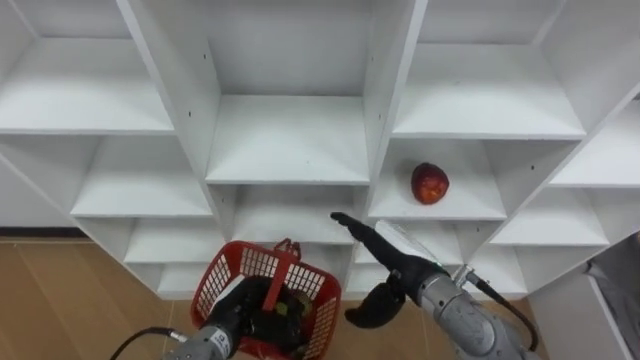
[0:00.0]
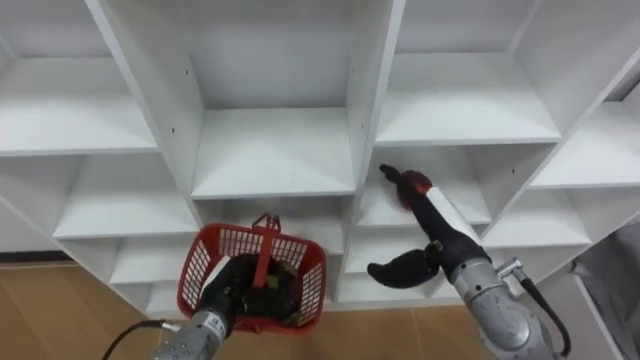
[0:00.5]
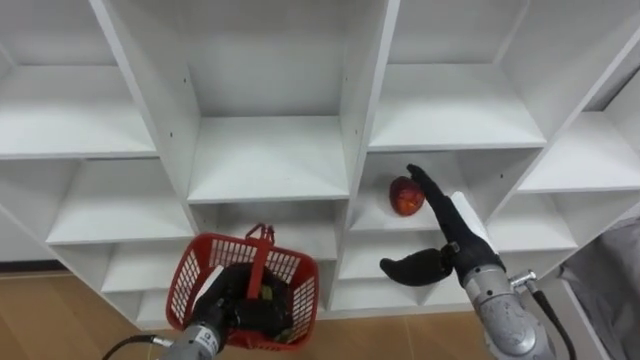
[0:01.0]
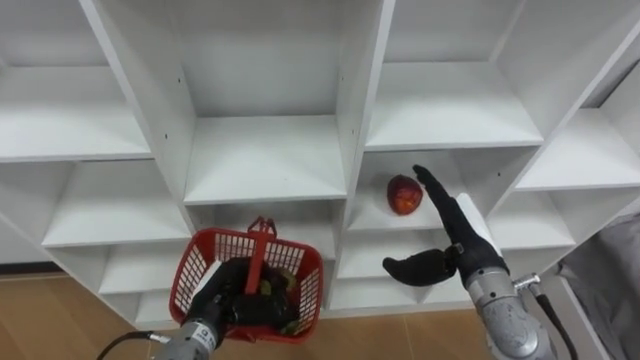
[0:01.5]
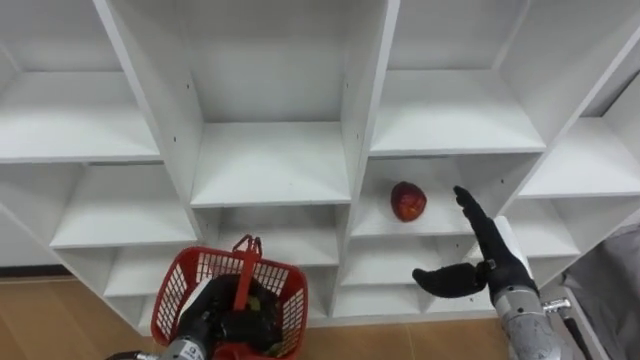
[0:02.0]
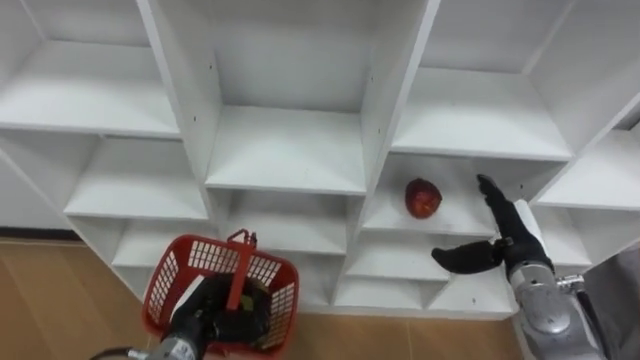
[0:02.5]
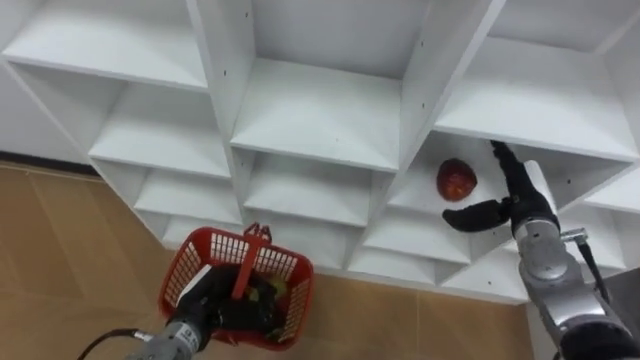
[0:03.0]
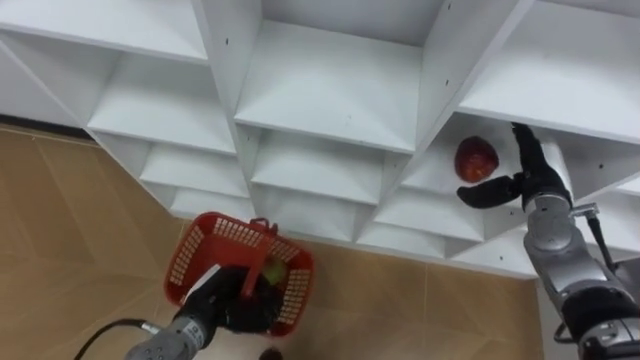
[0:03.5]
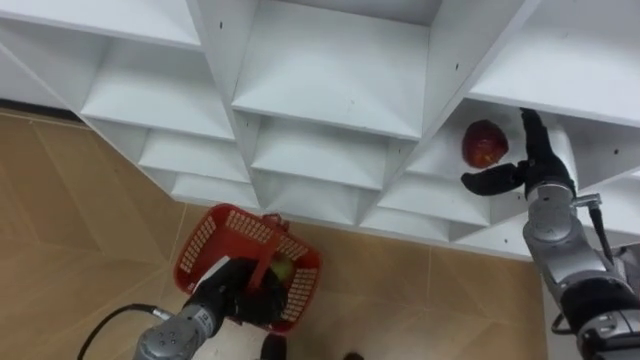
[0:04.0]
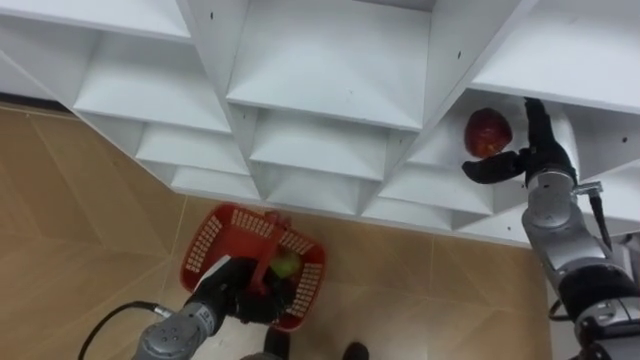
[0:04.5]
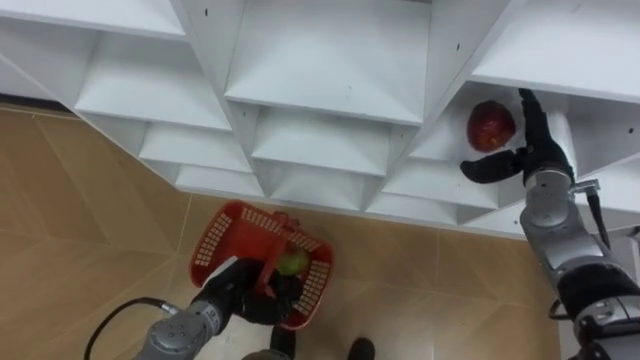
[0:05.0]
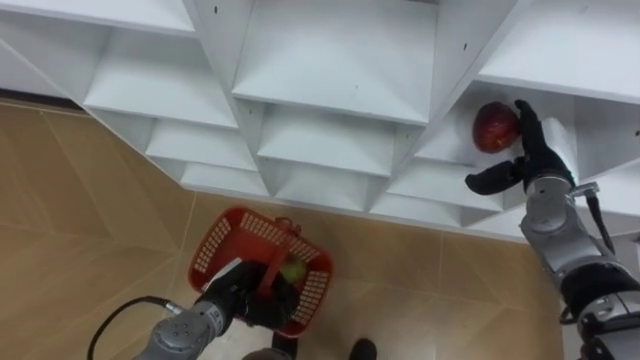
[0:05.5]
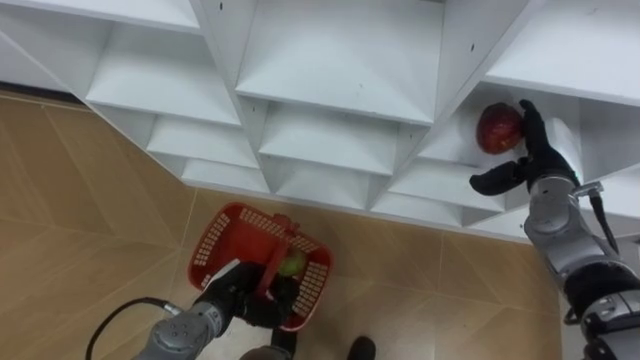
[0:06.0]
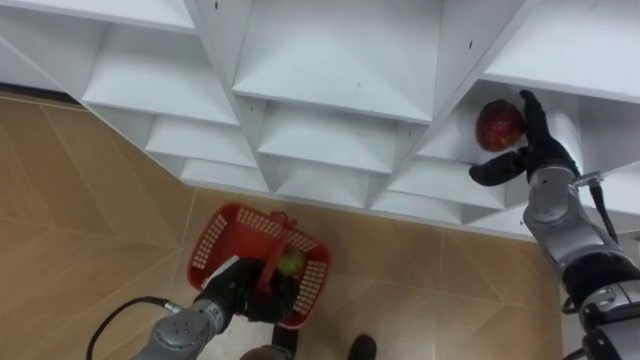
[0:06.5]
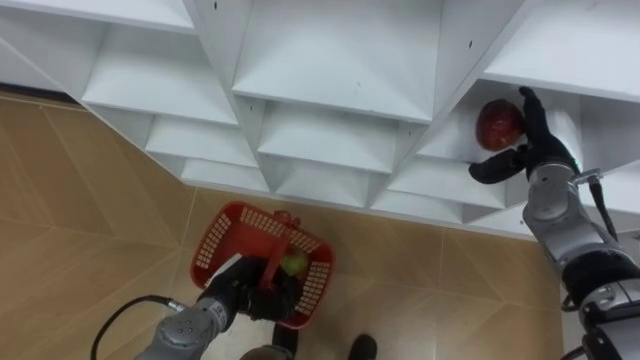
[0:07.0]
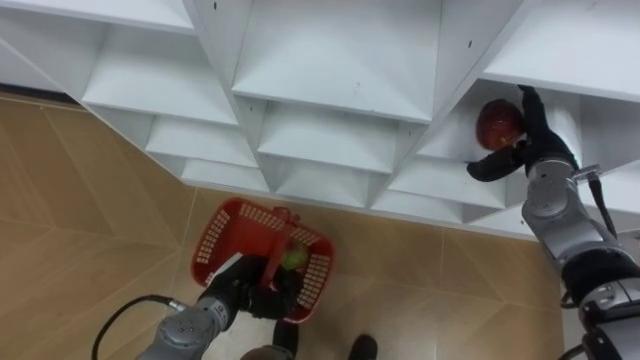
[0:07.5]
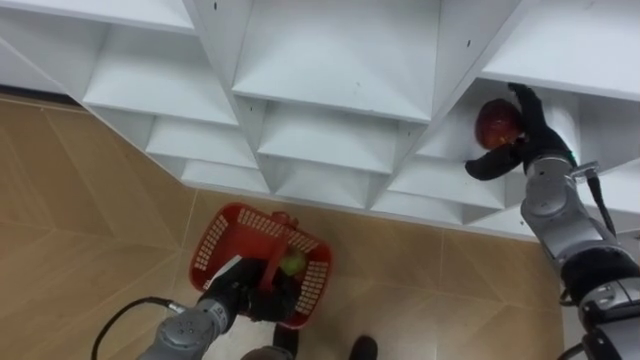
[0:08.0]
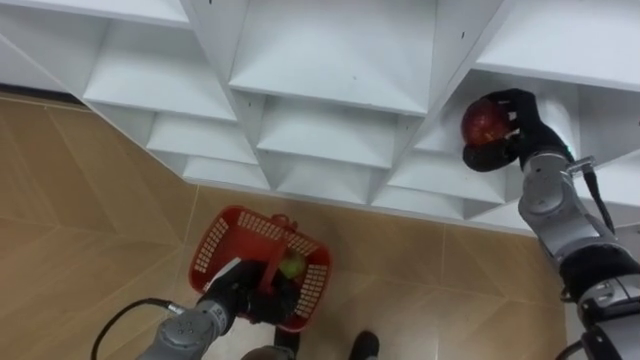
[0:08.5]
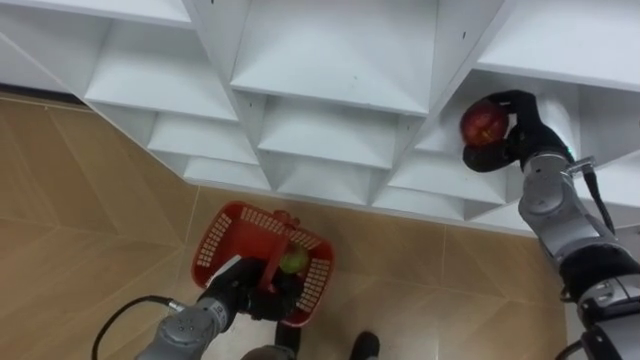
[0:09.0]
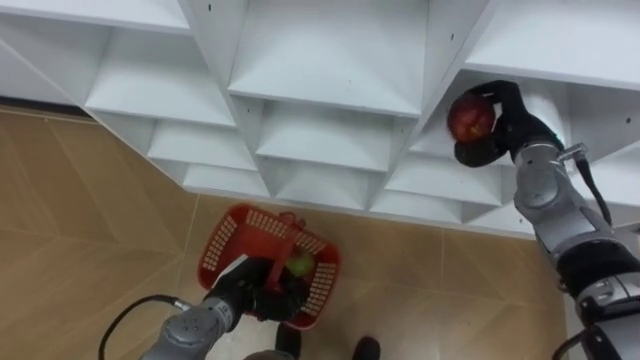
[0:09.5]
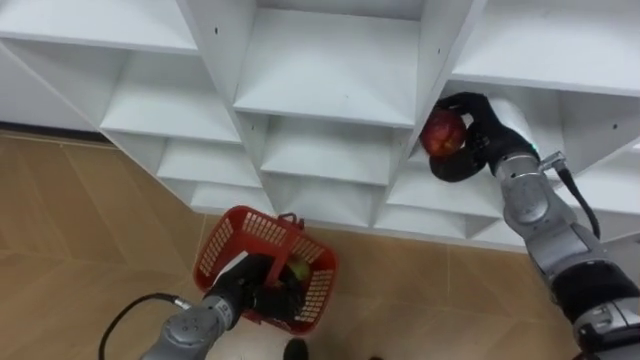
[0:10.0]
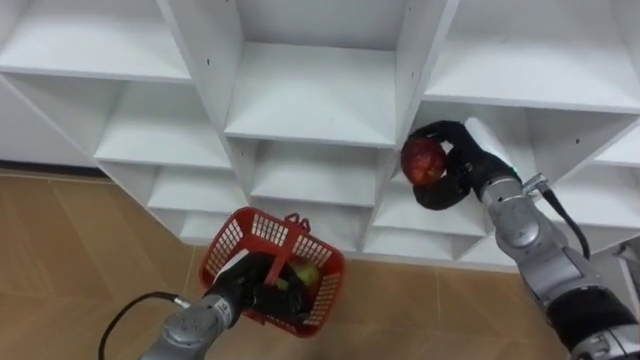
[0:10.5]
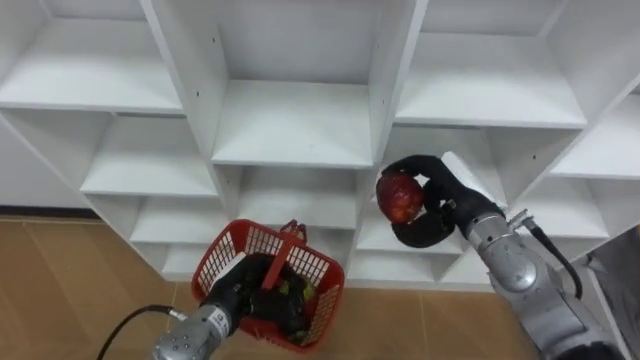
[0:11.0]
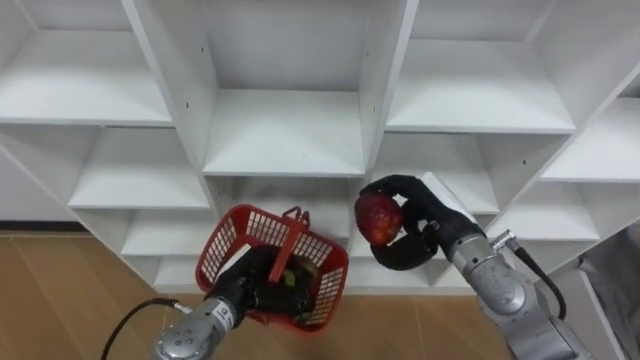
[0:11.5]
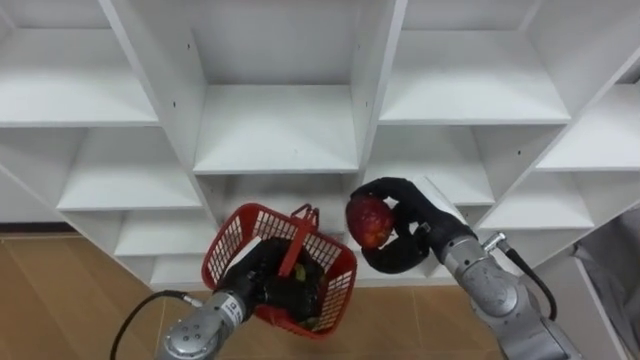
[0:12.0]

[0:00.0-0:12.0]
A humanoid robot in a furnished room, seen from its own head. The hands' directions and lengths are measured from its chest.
Task of the whole recording: Hold the basket and collect the fruits from 3 different cells of the closet into it.
0:00.0 to 0:02.0: The right hand goes some 15 cm to the right.
0:02.0 to 0:04.0: The right hand travels forward, to the right and upward by approximately 15 cm.
0:06.0 to 0:08.0: There are only small adjustments of the hands.
0:08.0 to 0:10.0: The right hand heads to the left, covering some 5 cm, and closes.
0:10.0 to 0:12.0: The right hand goes about 15 cm backward, to the left and downward.

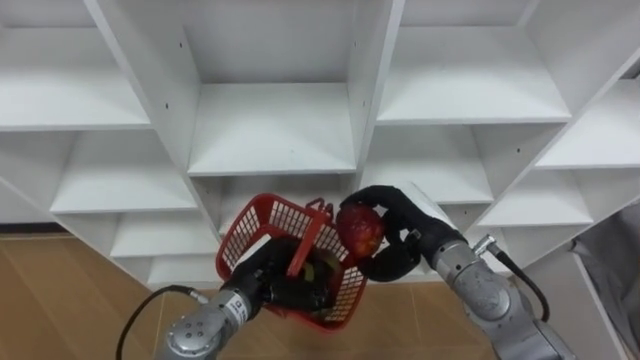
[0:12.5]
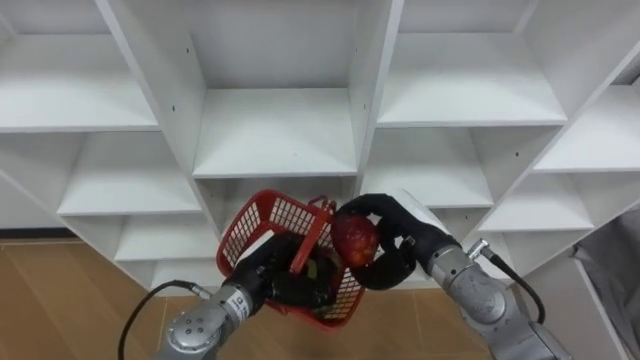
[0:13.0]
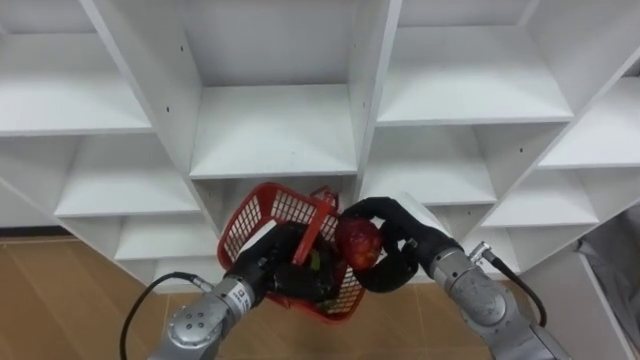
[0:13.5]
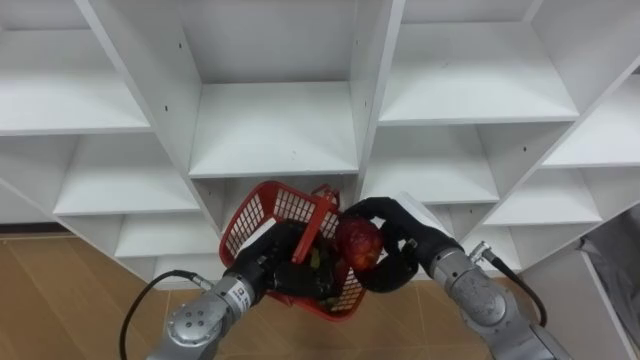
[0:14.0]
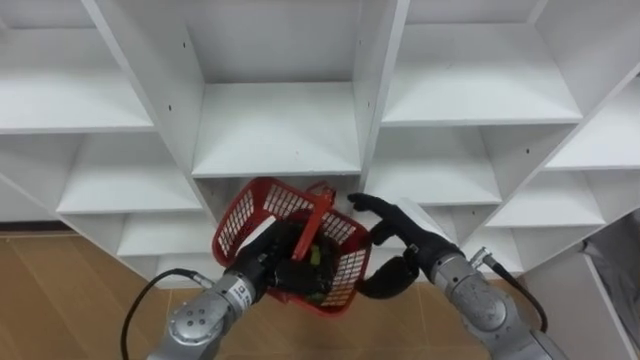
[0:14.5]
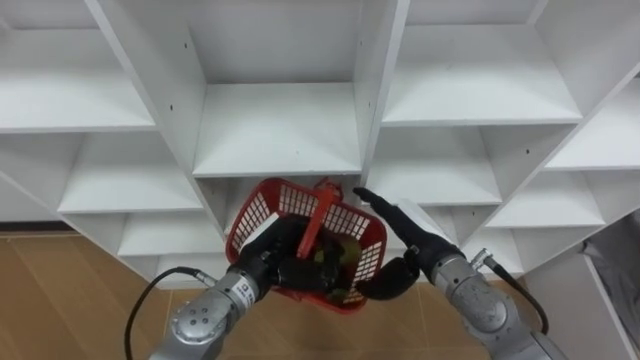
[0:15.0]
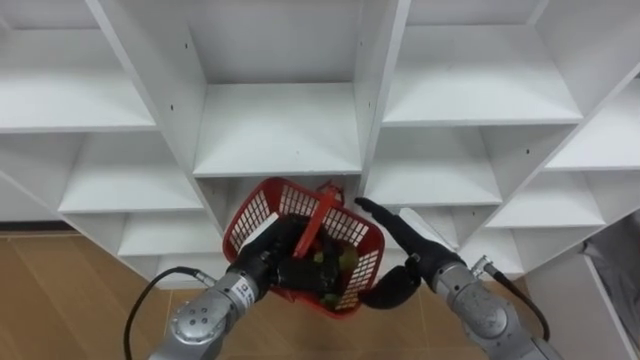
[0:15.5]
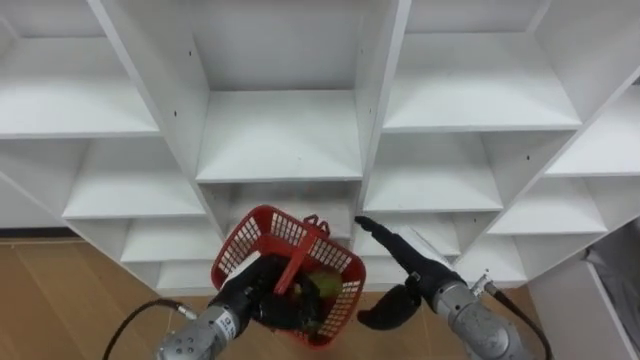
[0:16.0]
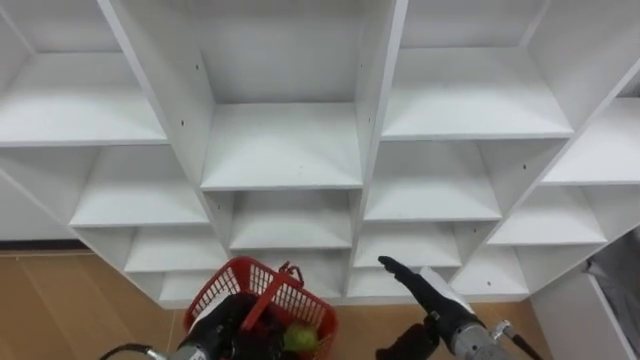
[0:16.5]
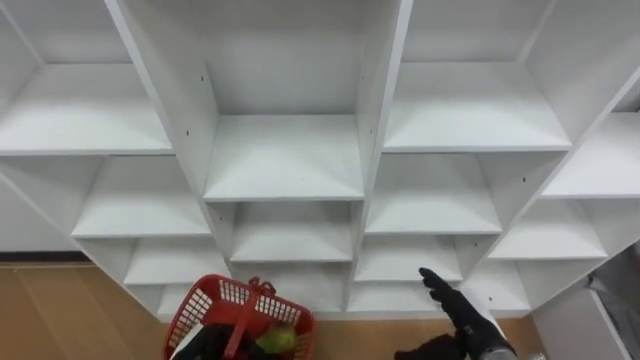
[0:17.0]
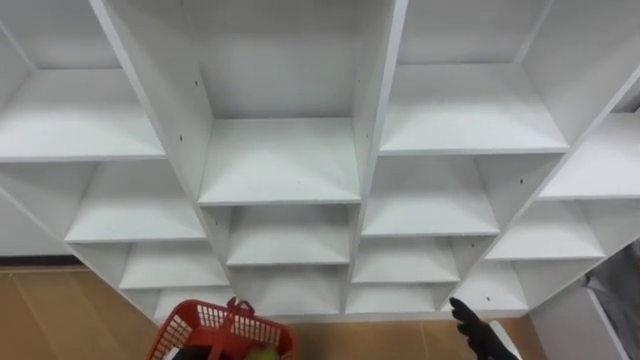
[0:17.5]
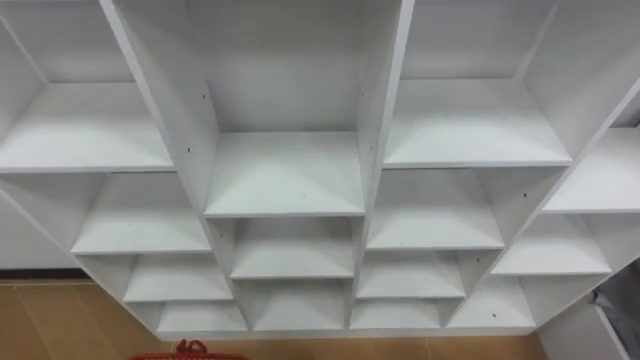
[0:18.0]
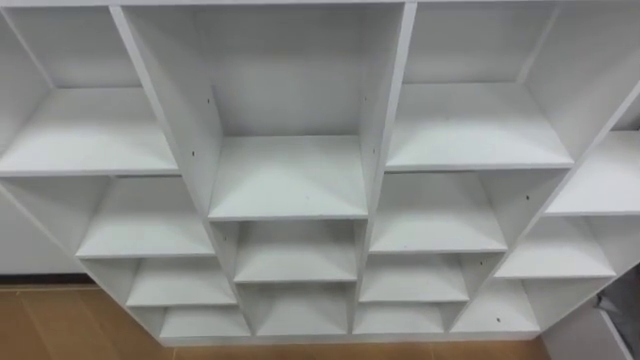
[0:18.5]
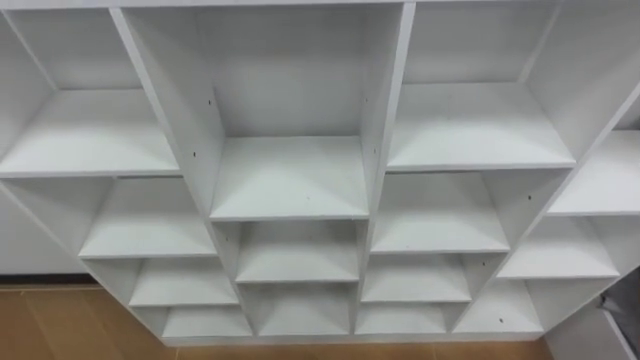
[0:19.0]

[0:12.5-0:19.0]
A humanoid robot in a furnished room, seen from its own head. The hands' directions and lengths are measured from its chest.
Task of the whole recording: Hold the basket and collect the fruits from 3 different cells of the closet into it.
0:12.5 to 0:14.5: The right hand opens up.
0:14.5 to 0:17.0: The right hand shifts roughly 15 cm backward, downward and to the right. The left hand travels backward, downward and to the left by approximately 20 cm.

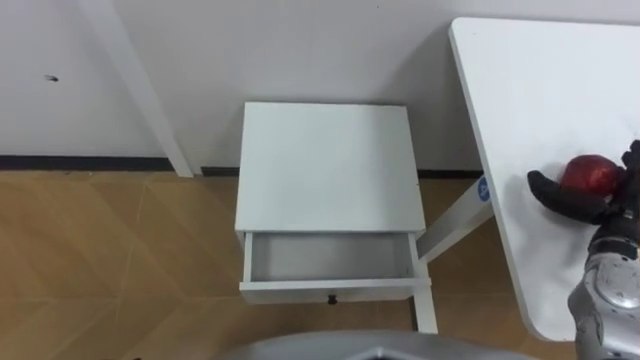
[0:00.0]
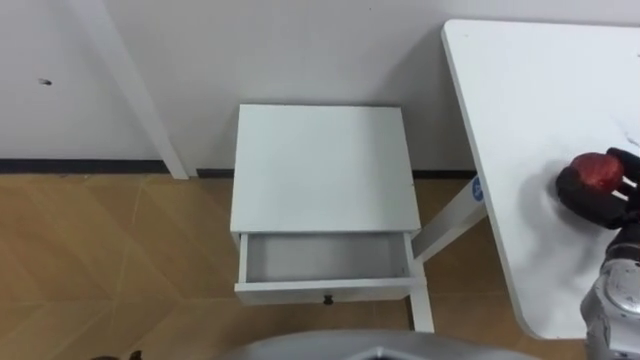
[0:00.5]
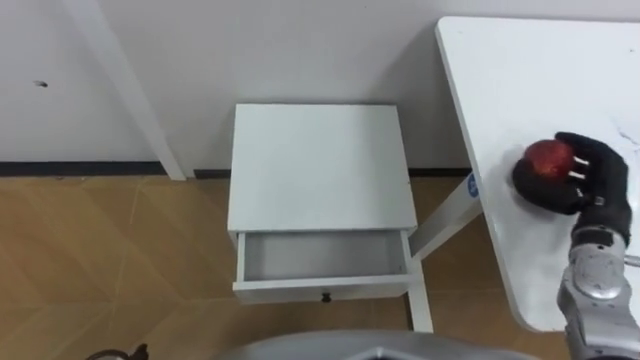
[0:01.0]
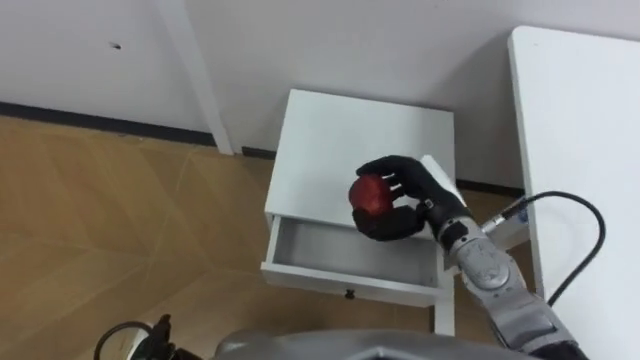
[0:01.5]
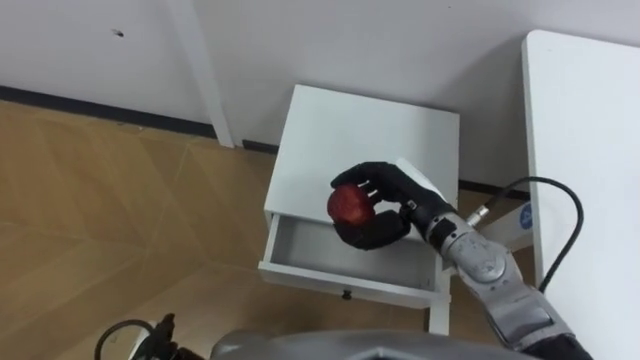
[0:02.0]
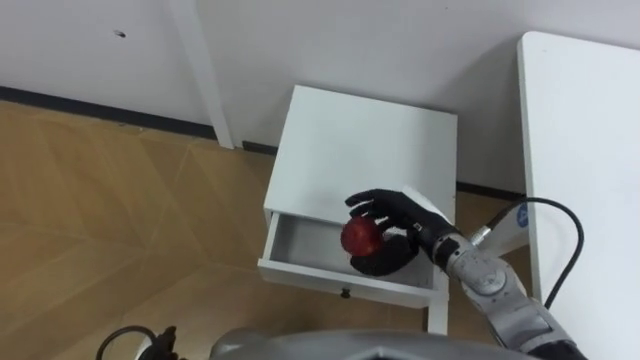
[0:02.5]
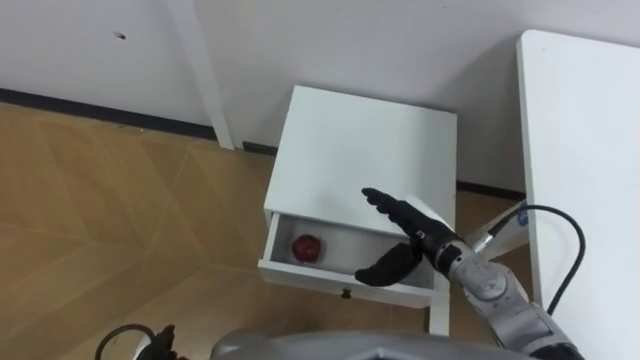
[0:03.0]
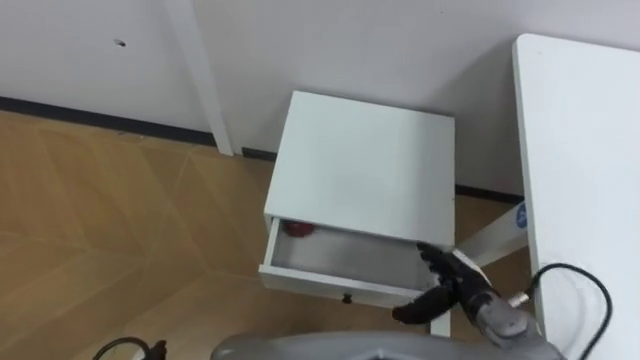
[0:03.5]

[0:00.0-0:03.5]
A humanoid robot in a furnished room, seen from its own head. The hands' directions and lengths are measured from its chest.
Task of the whole recording: Pick up the apple from the table, put it in the drawer, and close the drawer with leg.
0:00.0 to 0:02.0: The right hand is displaced to the left by about 25 cm, and closes.
0:02.0 to 0:03.5: The right hand travels downward, backward and to the right by some 15 cm, and opens up.
